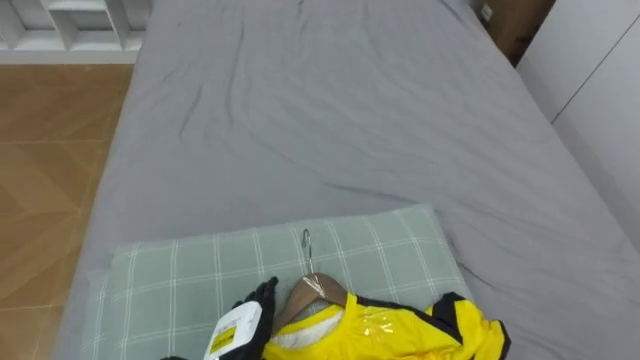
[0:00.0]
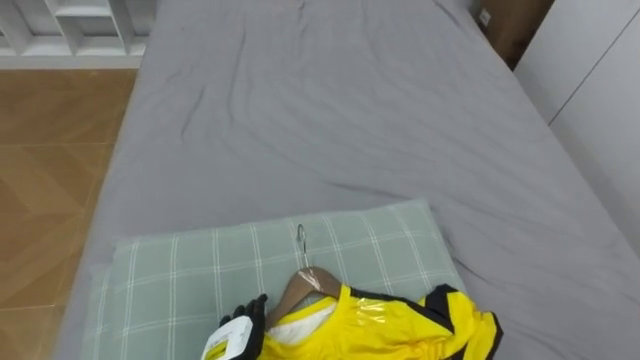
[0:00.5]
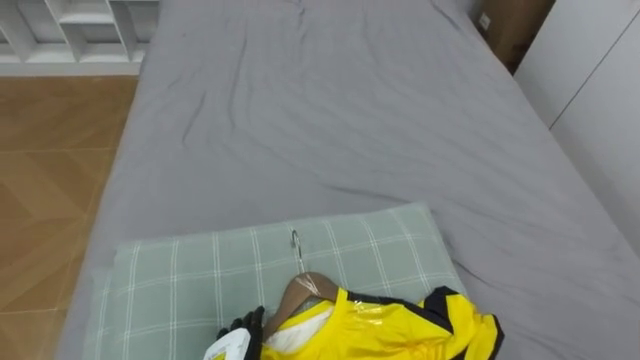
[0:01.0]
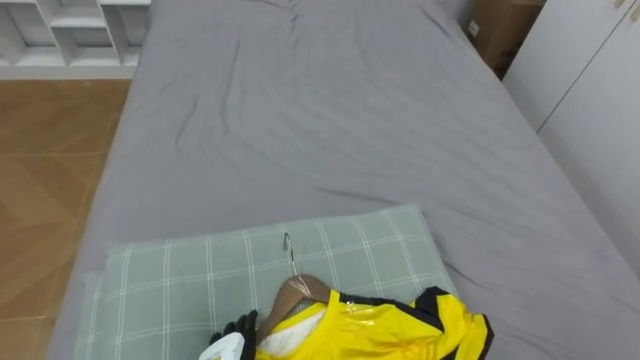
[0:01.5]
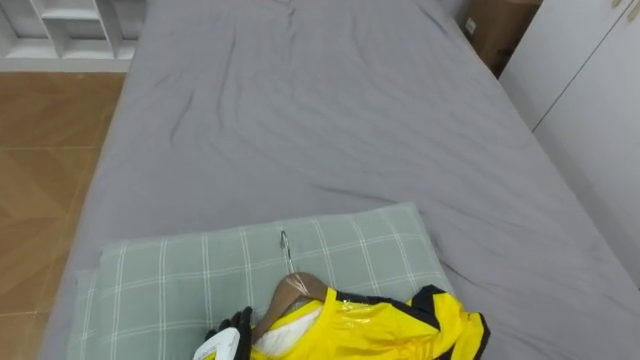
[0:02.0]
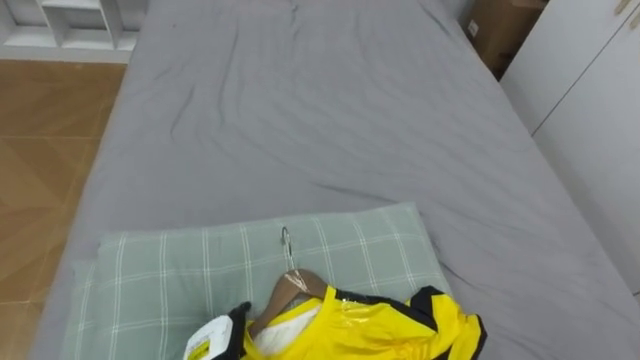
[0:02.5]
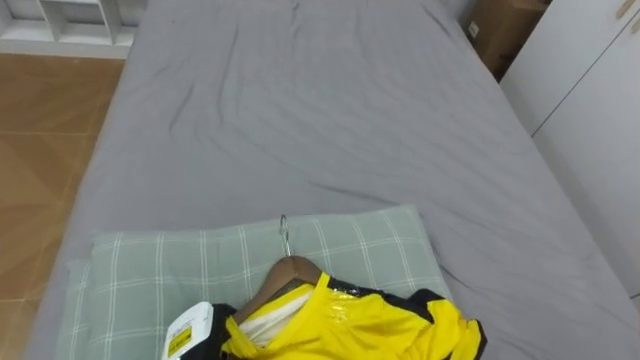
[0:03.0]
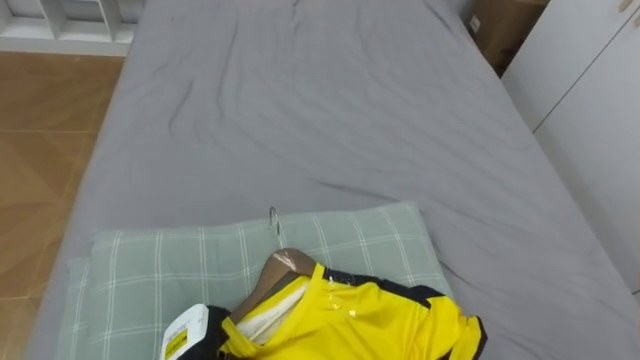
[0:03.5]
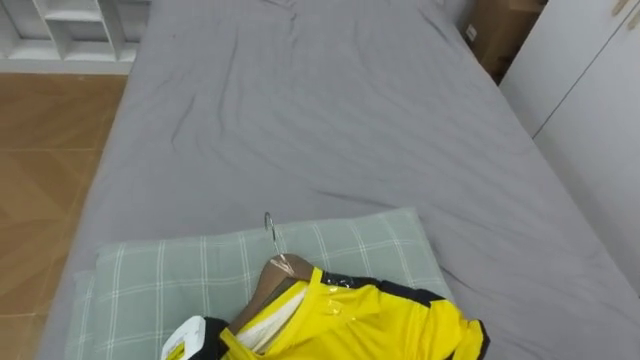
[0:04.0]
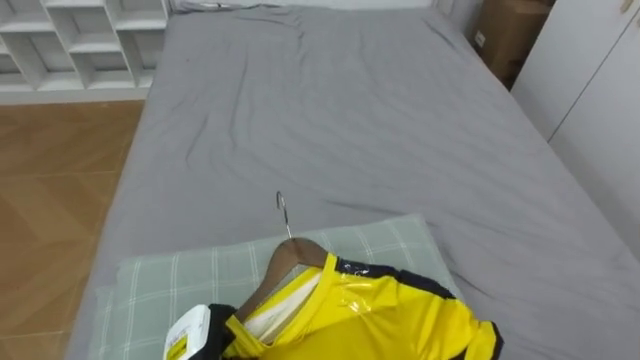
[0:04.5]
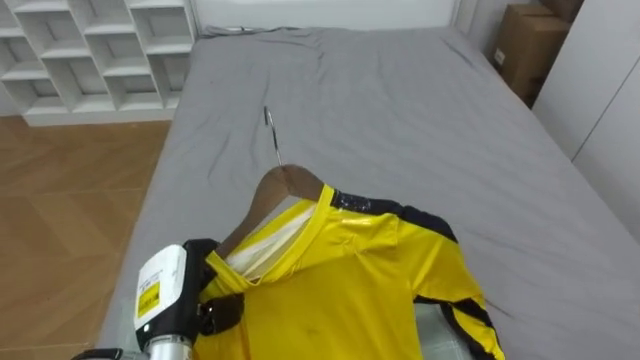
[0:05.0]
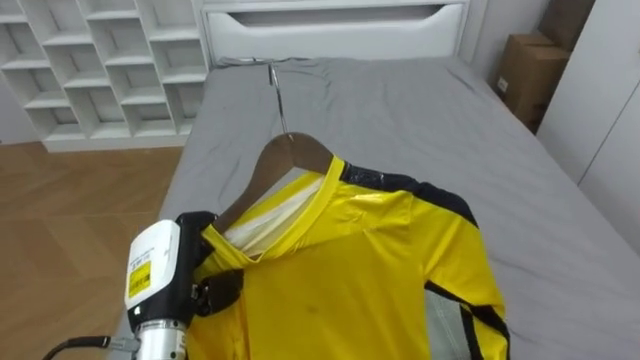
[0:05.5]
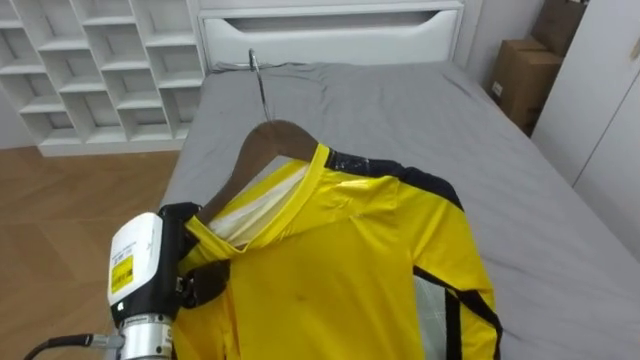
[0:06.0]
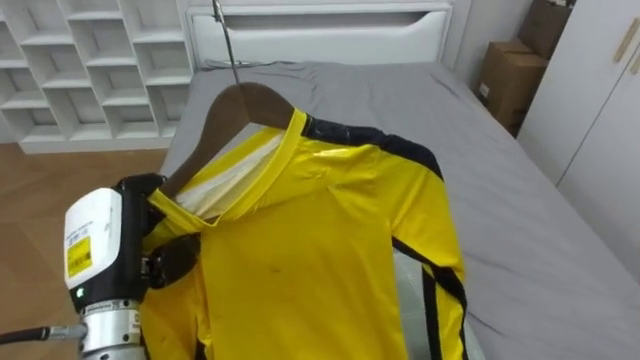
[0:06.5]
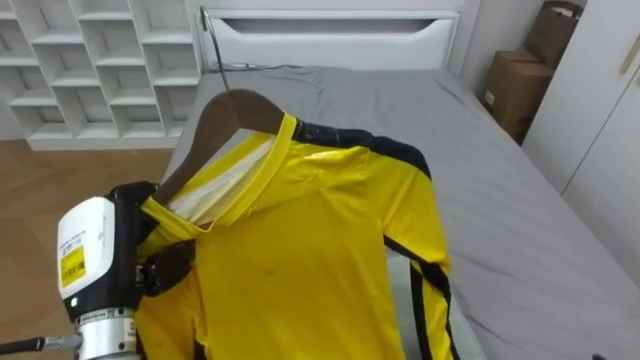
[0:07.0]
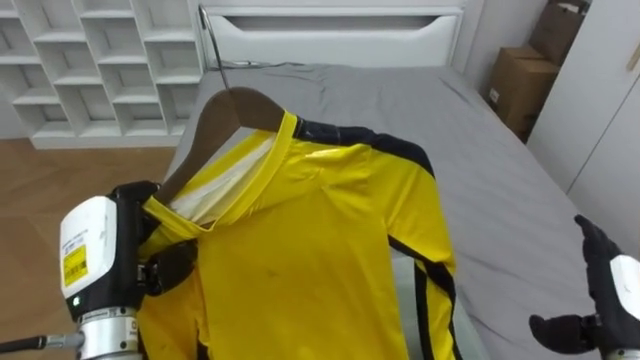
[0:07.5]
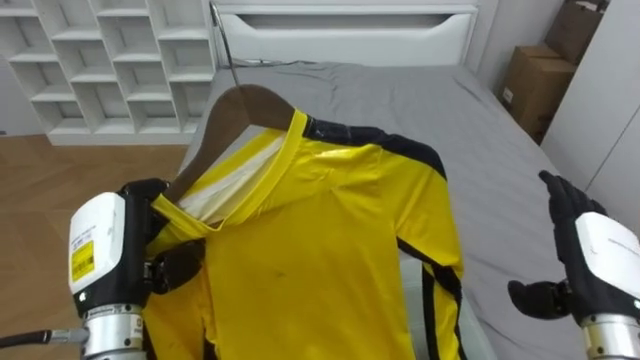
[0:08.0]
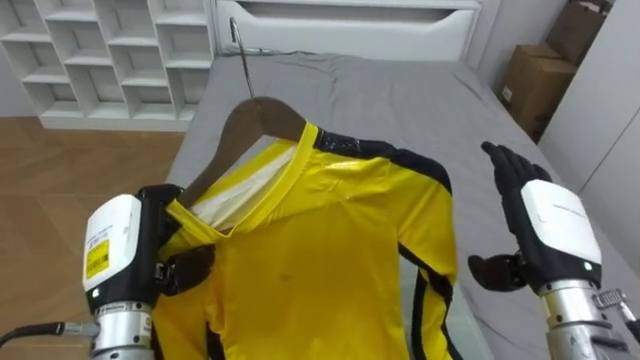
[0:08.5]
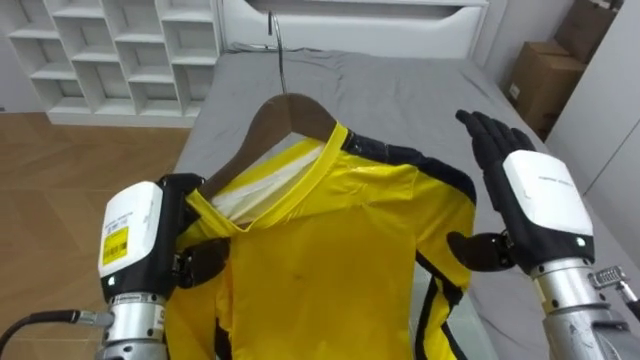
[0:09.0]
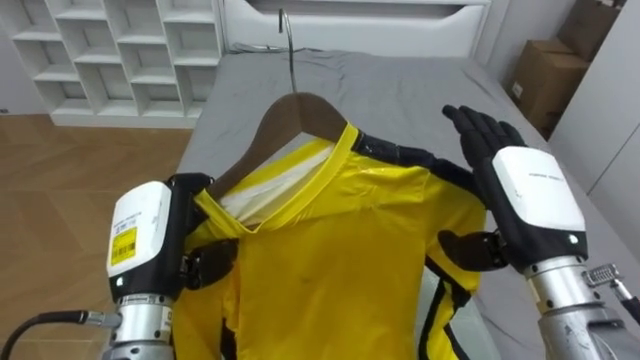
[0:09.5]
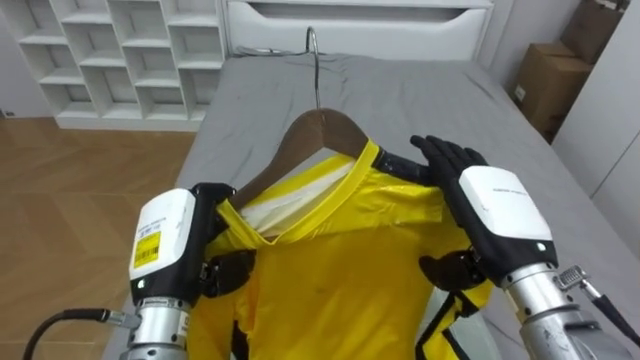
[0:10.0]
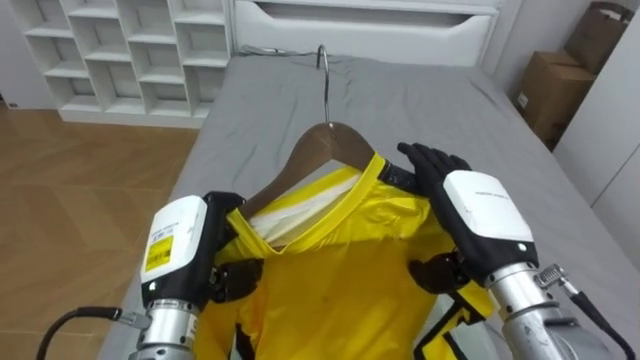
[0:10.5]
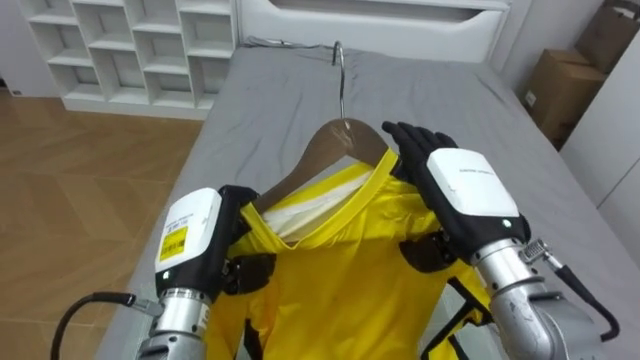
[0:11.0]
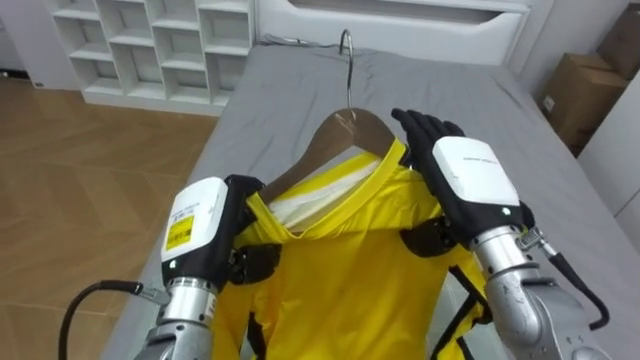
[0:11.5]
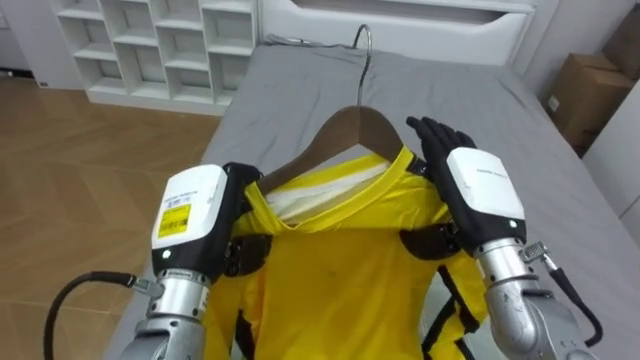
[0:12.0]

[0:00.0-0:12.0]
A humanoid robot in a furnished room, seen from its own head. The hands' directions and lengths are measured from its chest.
Task of the whole recording: Pick up the yellow shirt on the bed and hang it on the clothes rack on the right.
0:08.0 to 0:10.0: The left hand shifts some 5 cm to the right. Meanwhile the right hand heads to the left and upward, covering about 15 cm.

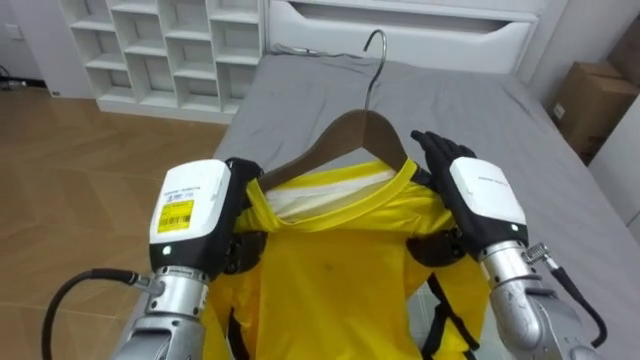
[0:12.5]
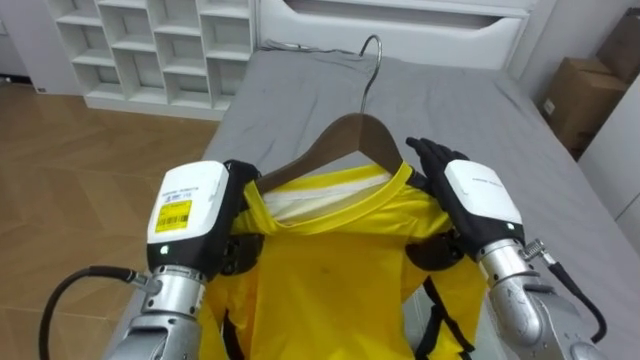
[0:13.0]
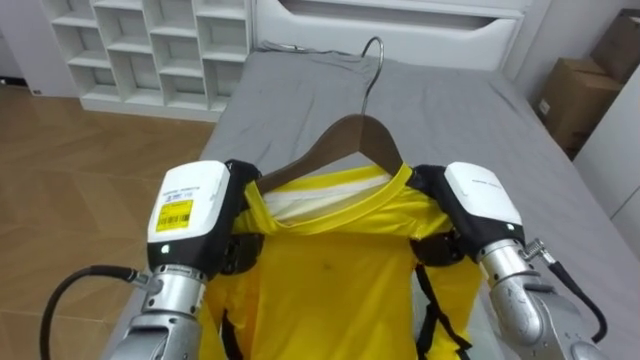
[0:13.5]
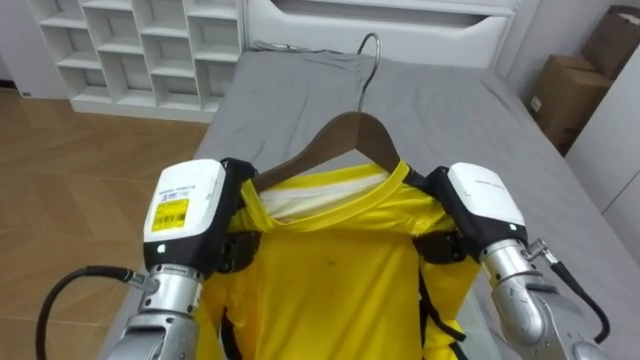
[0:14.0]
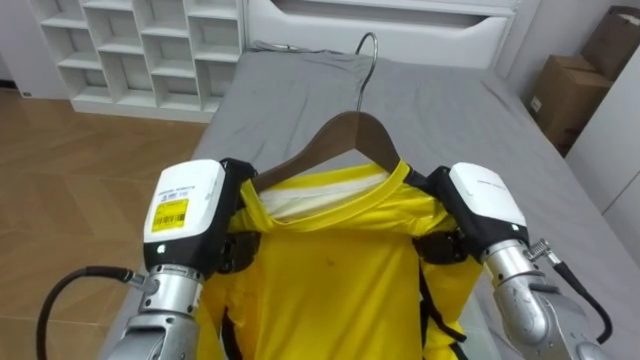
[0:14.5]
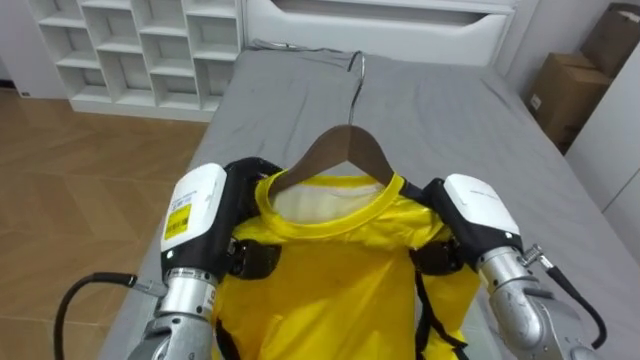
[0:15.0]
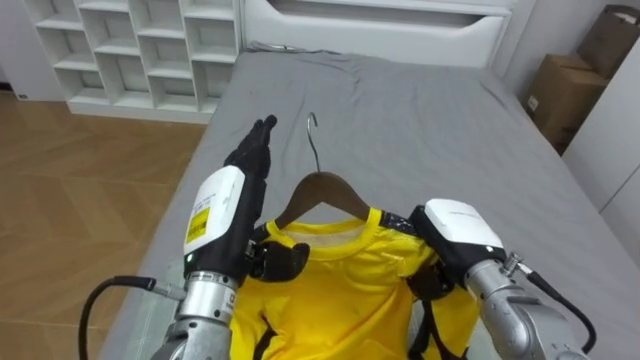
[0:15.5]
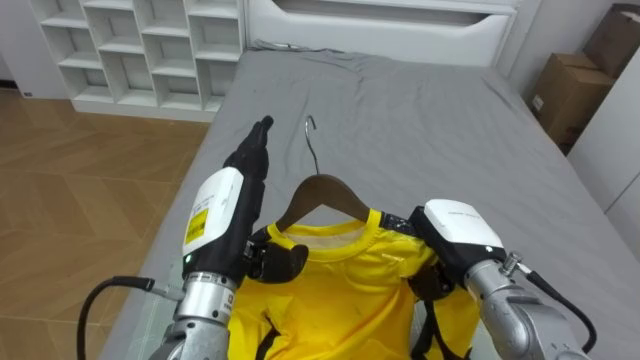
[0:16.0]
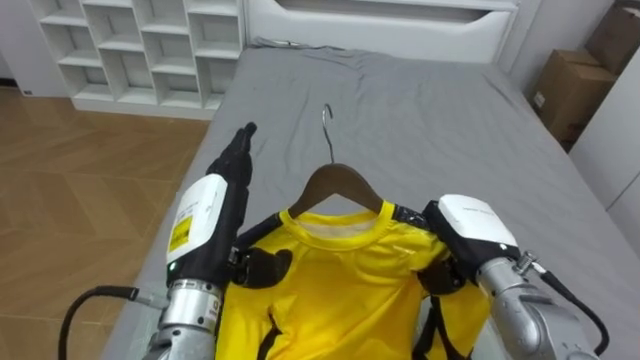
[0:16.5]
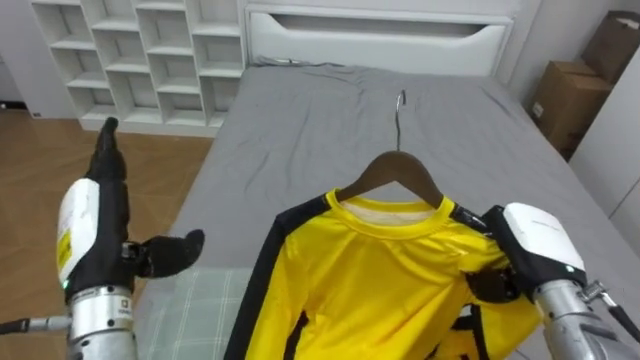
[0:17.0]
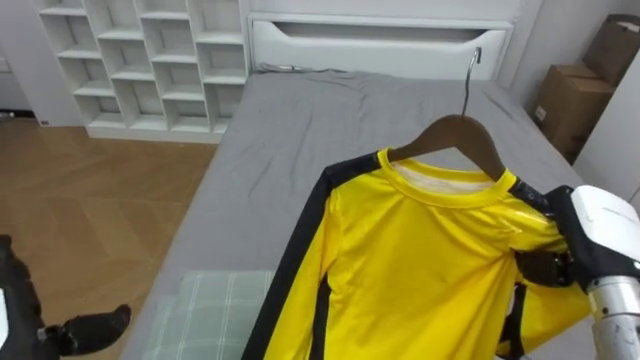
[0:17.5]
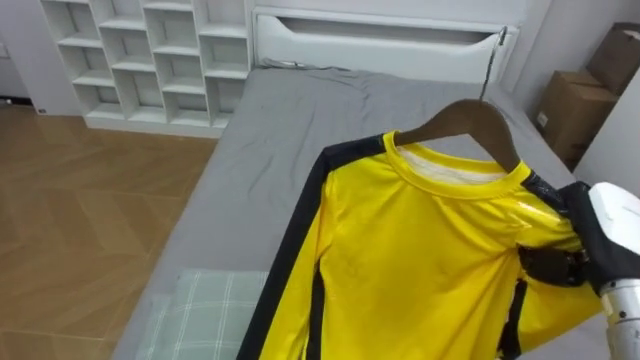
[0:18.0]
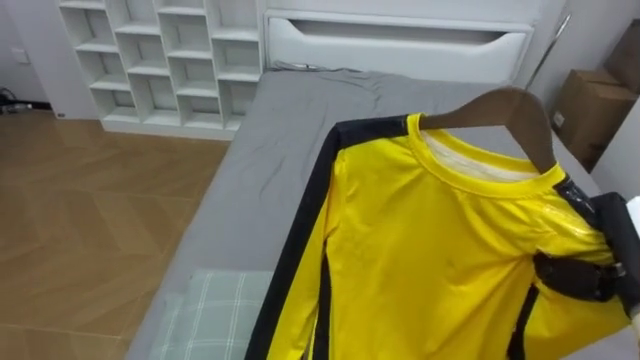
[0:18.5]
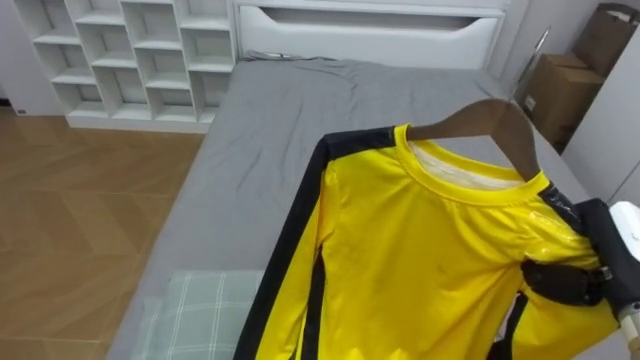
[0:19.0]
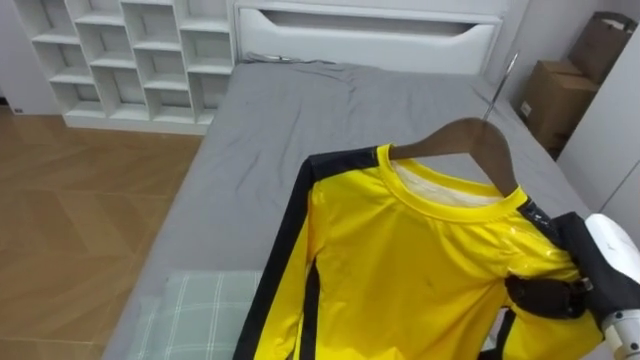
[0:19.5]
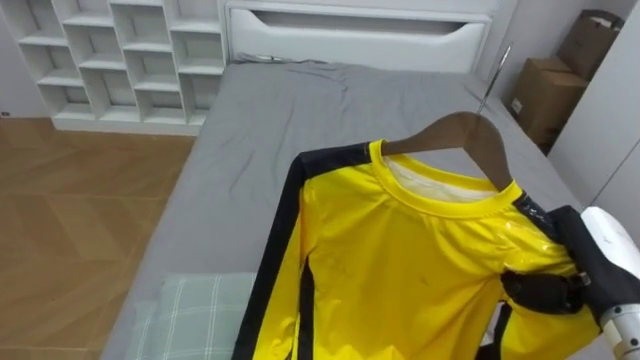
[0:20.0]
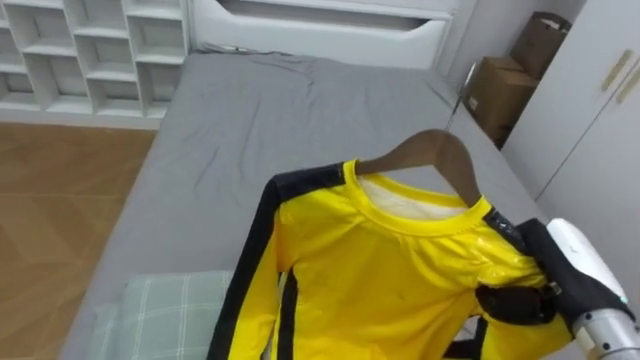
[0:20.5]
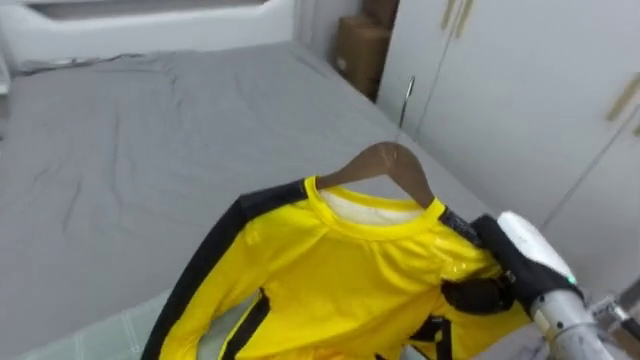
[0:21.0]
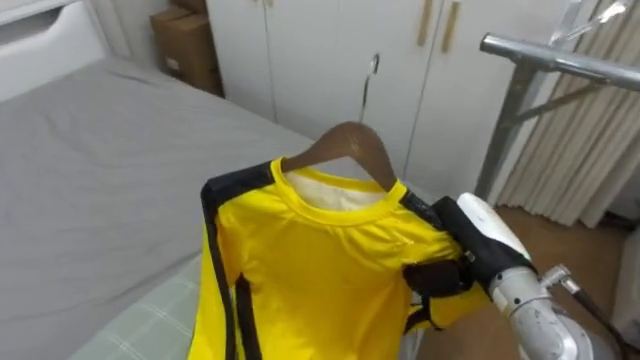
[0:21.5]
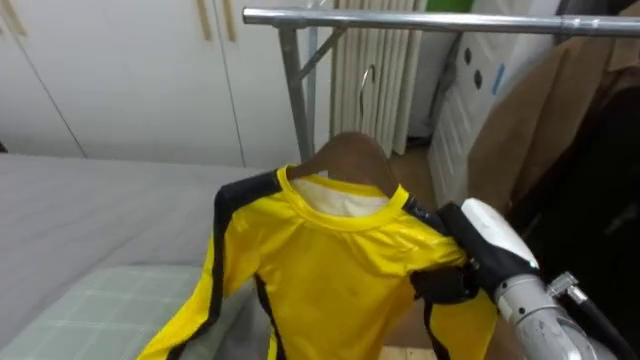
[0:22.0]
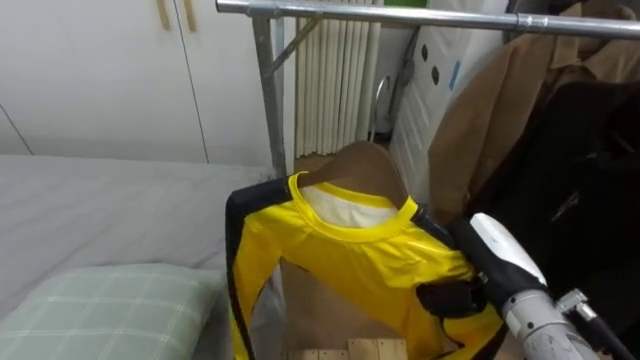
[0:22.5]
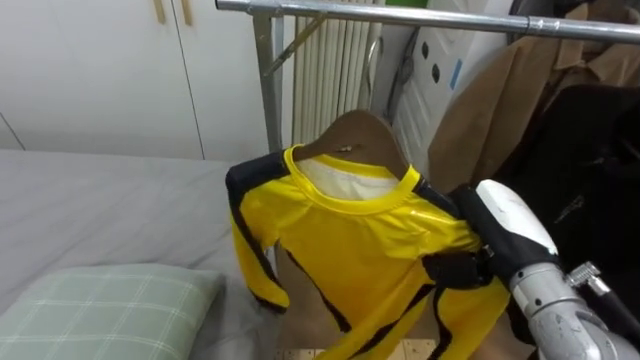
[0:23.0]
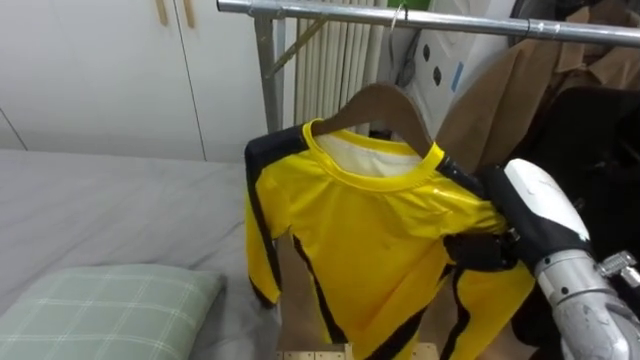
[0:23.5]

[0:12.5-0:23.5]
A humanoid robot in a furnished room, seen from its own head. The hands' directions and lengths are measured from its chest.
Task of the whole recording: Pick up the yellow shirt on the bed and hang it on the clothes rack on the right.
0:12.5 to 0:14.5: The right hand closes its fingers.
0:14.5 to 0:16.0: The left hand opens its fingers.
0:16.0 to 0:18.0: The right hand travels to the right by about 15 cm.
0:20.0 to 0:21.5: The robot turns to its right by some 55 degrees. The right hand shifts approximately 10 cm to the left.
0:21.5 to 0:23.5: The robot rotates about 35 degrees to its right. The right hand shifts by some 5 cm.
